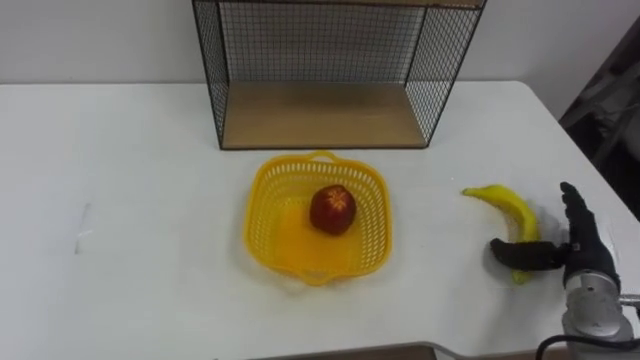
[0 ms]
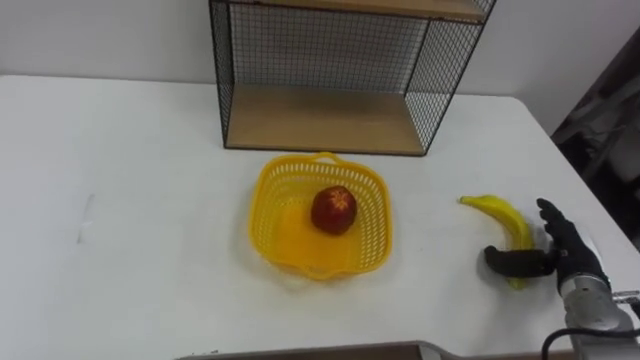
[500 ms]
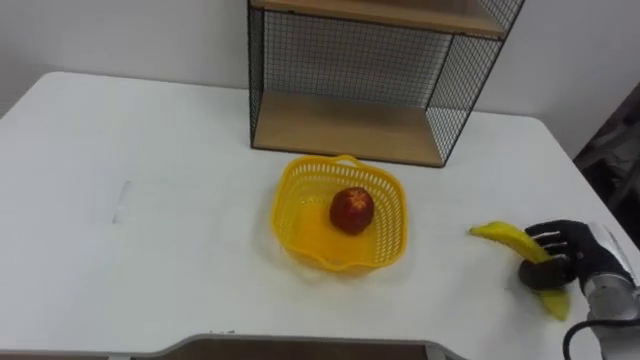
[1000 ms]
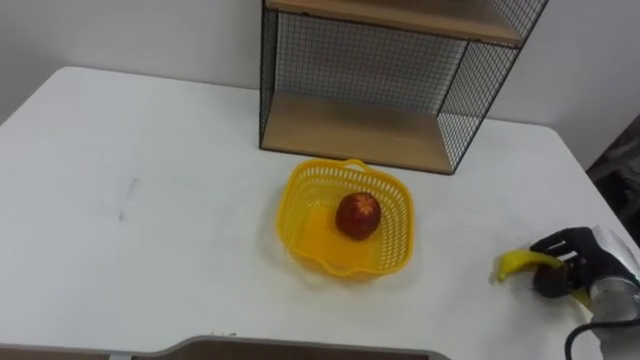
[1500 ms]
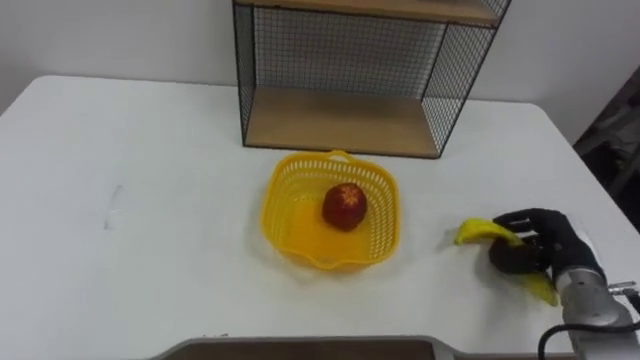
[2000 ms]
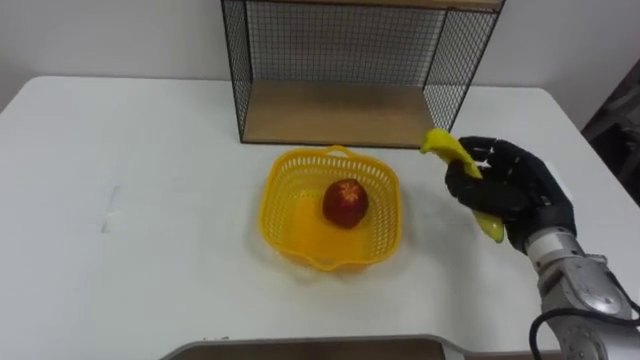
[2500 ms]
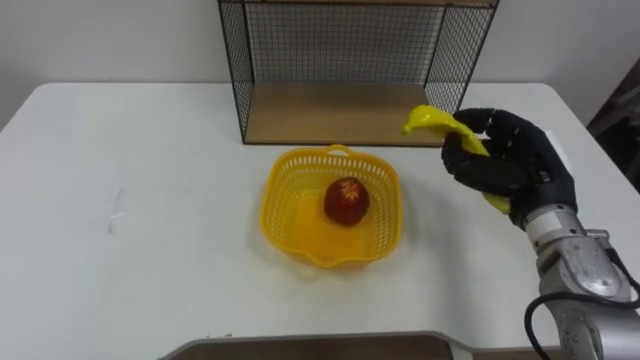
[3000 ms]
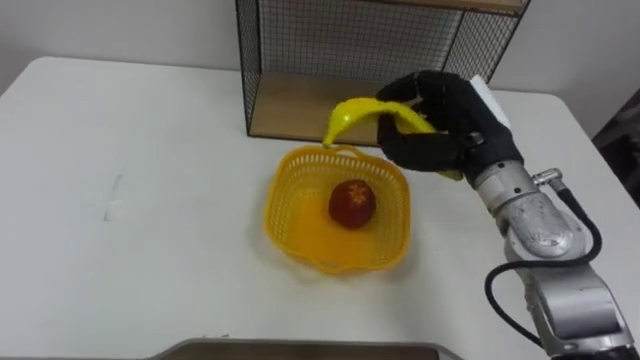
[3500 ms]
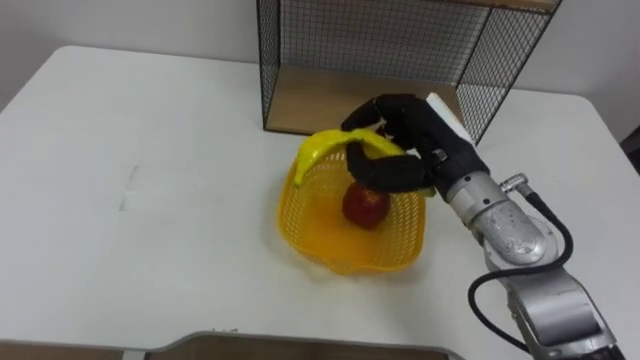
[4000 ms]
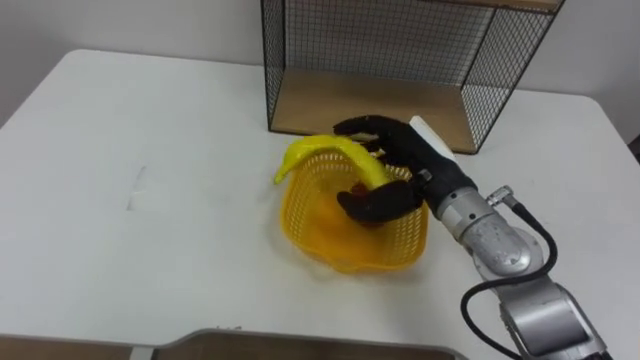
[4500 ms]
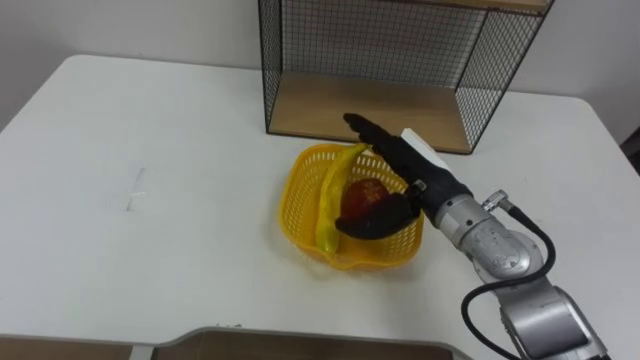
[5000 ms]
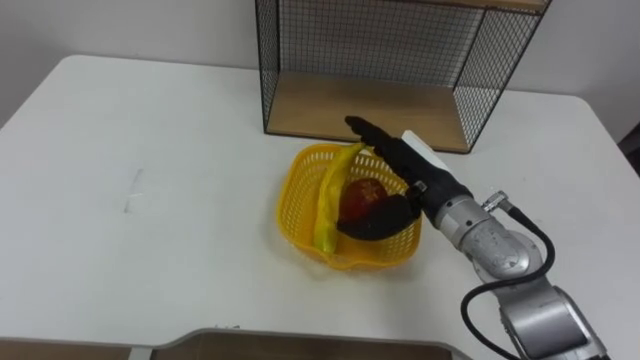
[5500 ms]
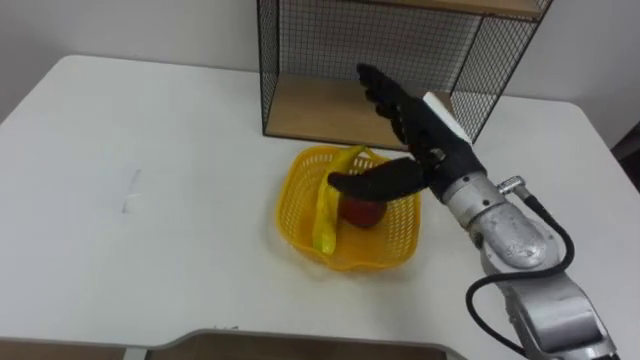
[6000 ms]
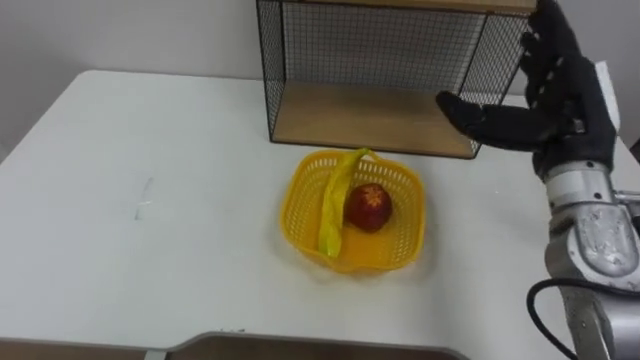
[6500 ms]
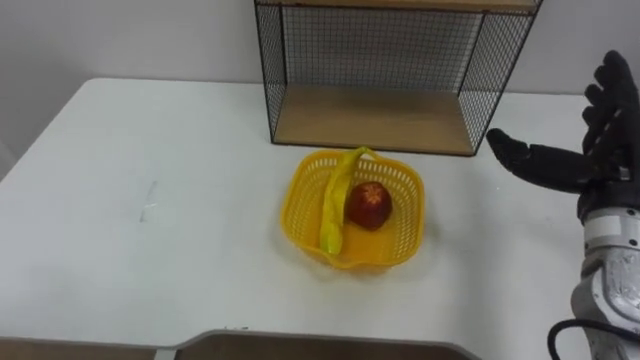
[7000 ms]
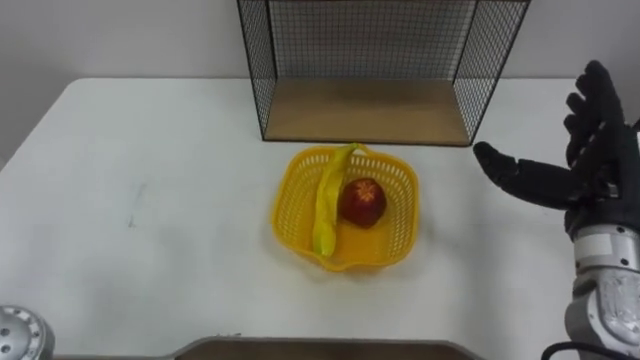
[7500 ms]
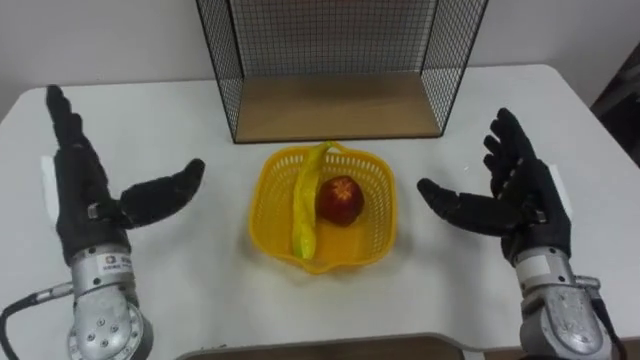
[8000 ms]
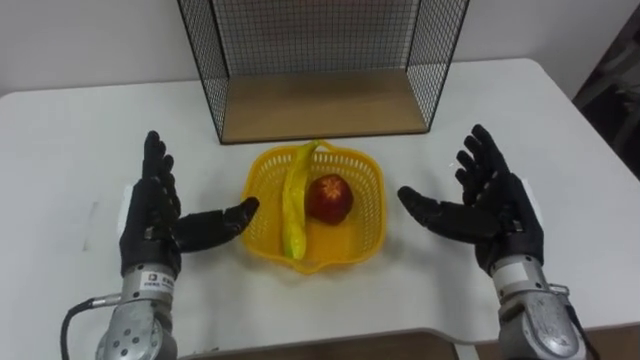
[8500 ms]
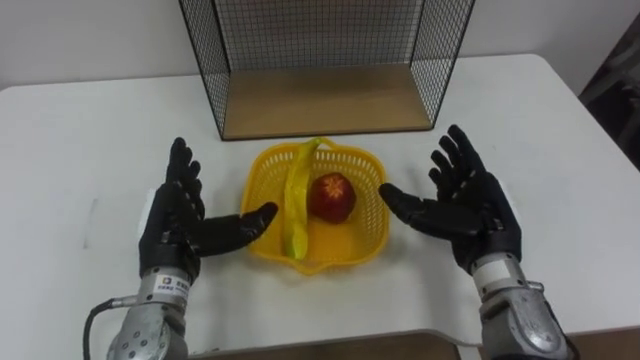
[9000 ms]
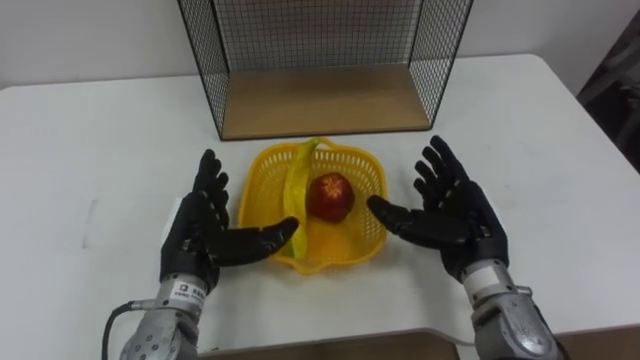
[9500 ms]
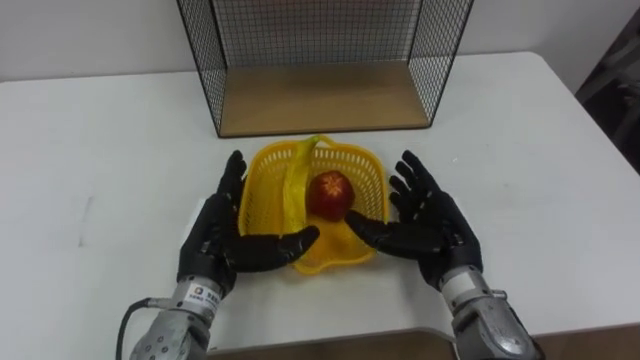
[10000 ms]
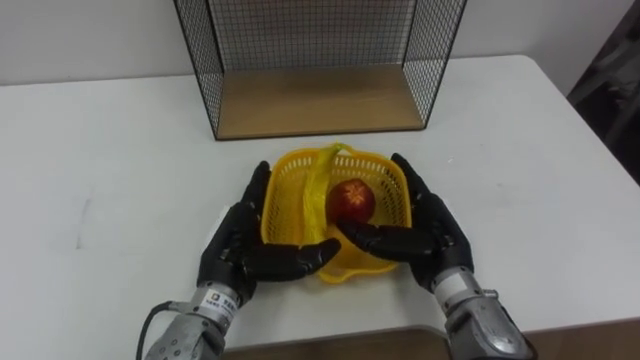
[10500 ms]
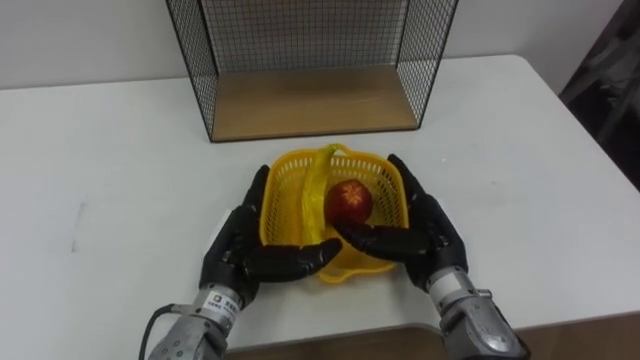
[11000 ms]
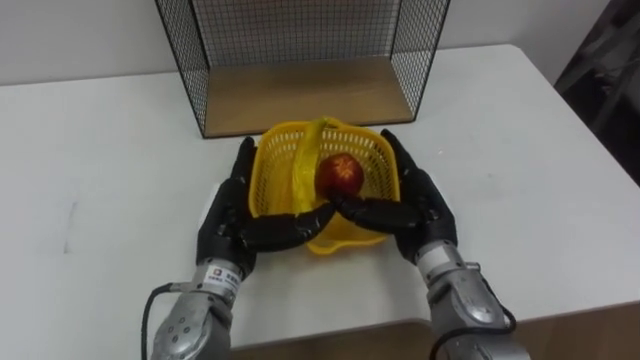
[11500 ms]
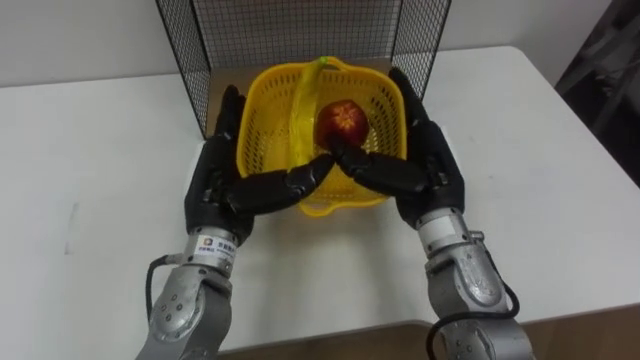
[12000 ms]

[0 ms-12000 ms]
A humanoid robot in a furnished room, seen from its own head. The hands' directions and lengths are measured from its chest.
Task of the whole recording: Put the fruit on the table into the basket, then place the basket on the shelf.
0 ms to 2000 ms: The right hand closes up.
2000 ms to 4000 ms: The right hand travels to the left and upward by roughly 25 cm.
4000 ms to 6000 ms: The right hand opens up.
6000 ms to 8000 ms: The right hand goes roughly 15 cm to the right, downward and backward.
8000 ms to 10000 ms: The left hand heads to the right and downward, covering approximately 15 cm; the right hand goes some 10 cm to the left and downward.
10000 ms to 12000 ms: Both hands move upward, some 10 cm.

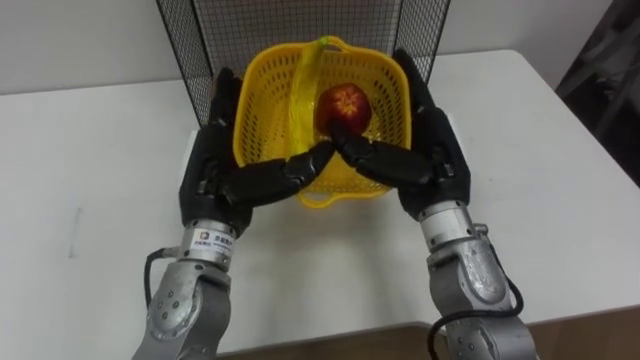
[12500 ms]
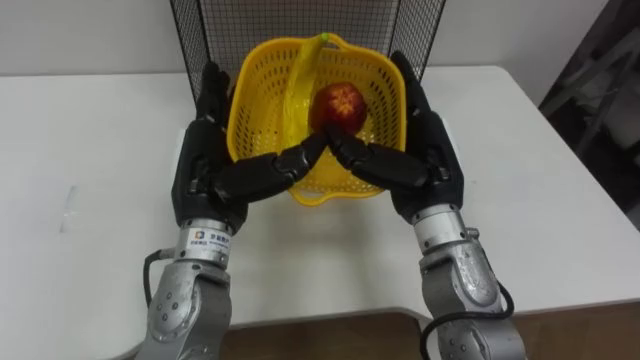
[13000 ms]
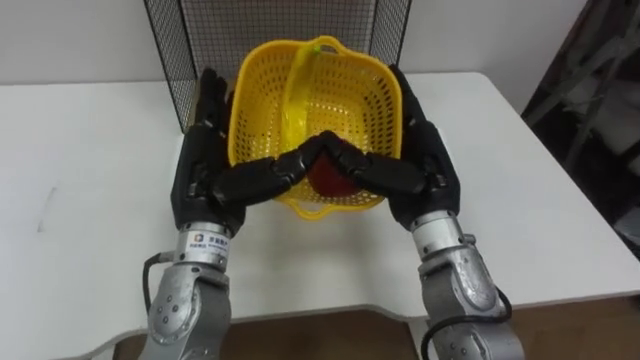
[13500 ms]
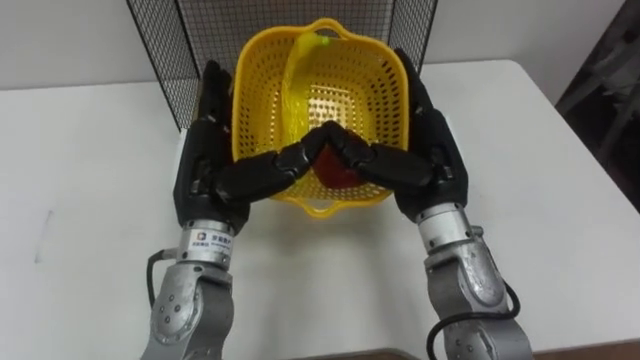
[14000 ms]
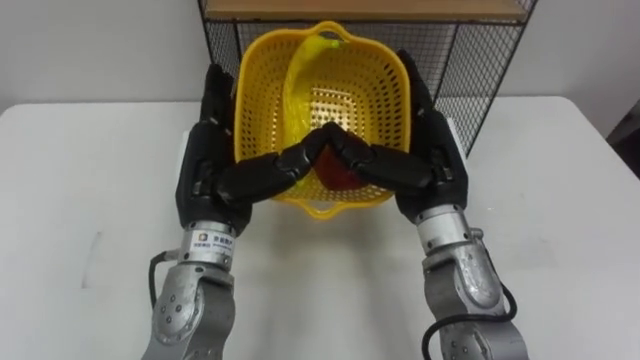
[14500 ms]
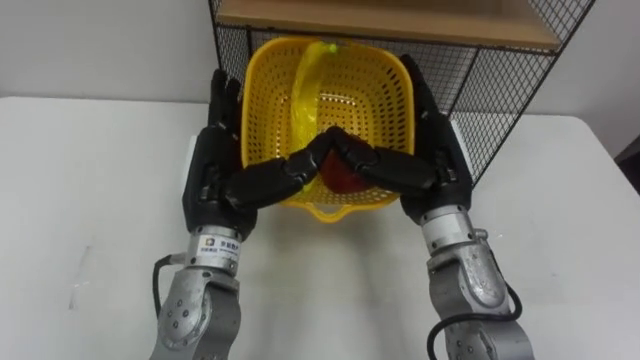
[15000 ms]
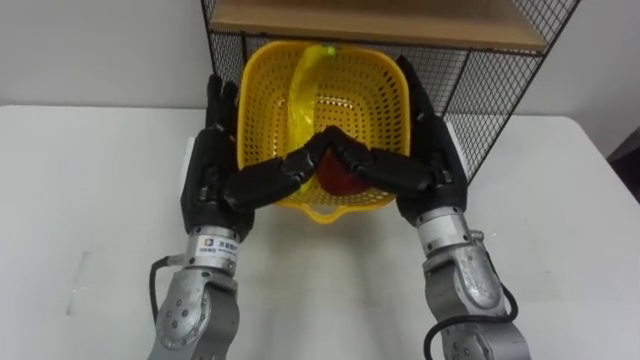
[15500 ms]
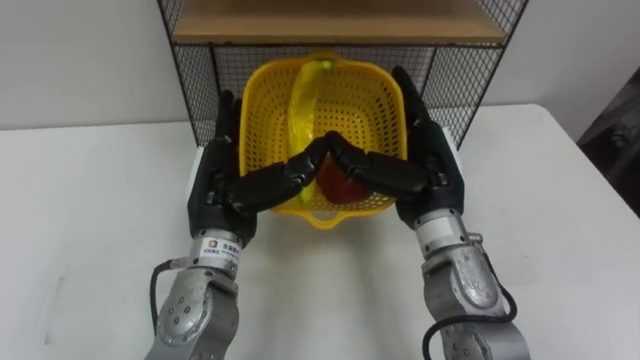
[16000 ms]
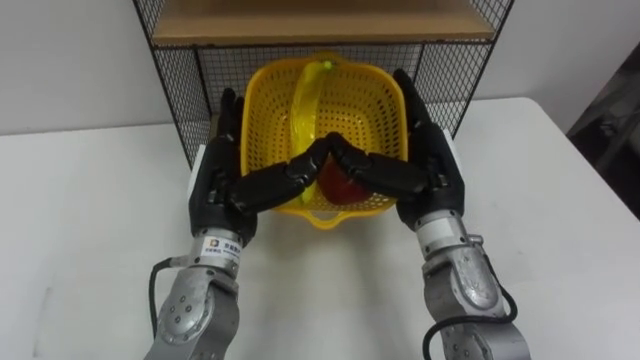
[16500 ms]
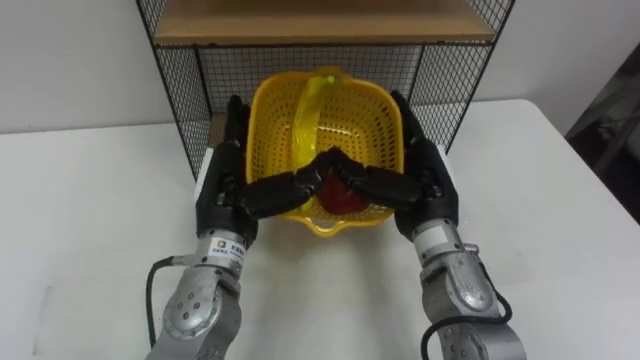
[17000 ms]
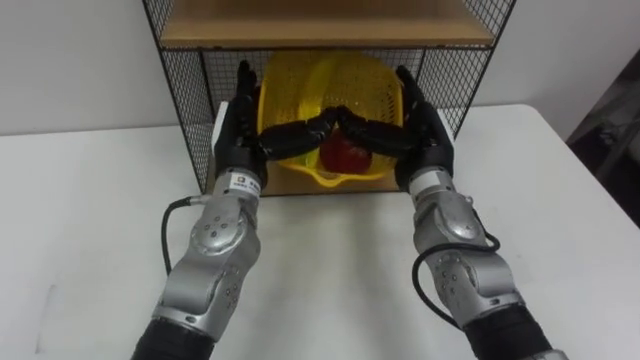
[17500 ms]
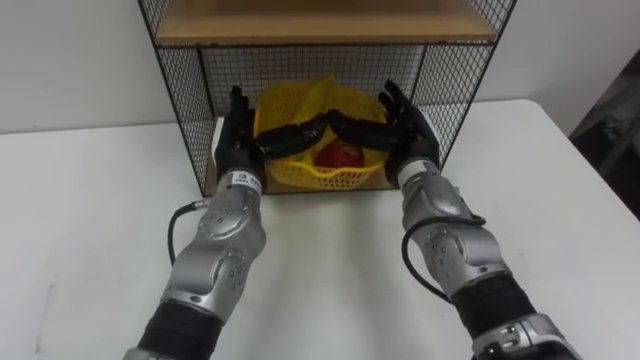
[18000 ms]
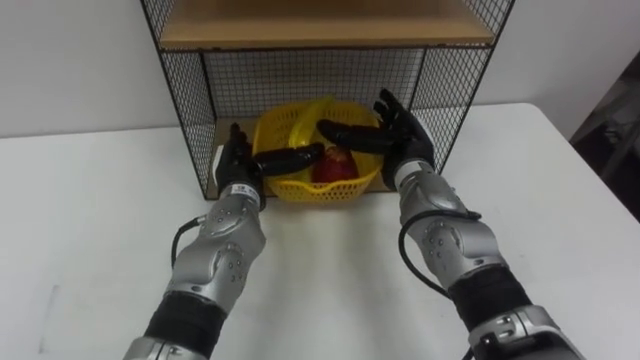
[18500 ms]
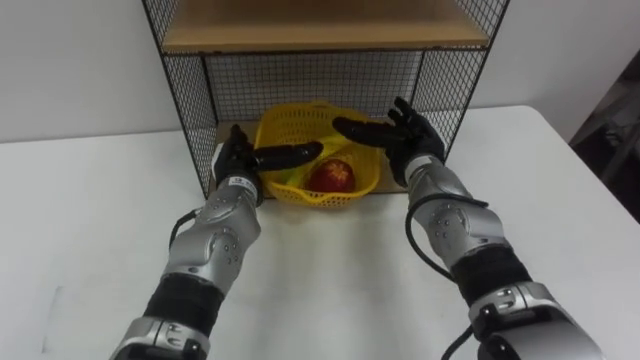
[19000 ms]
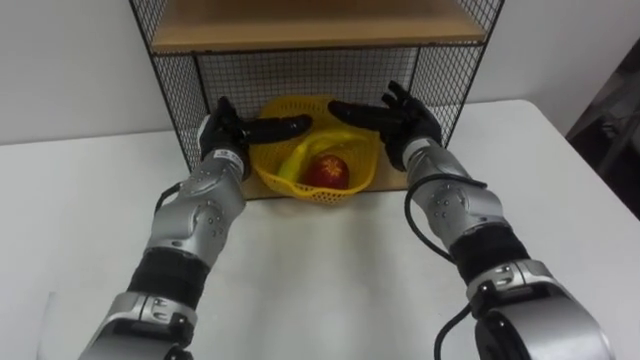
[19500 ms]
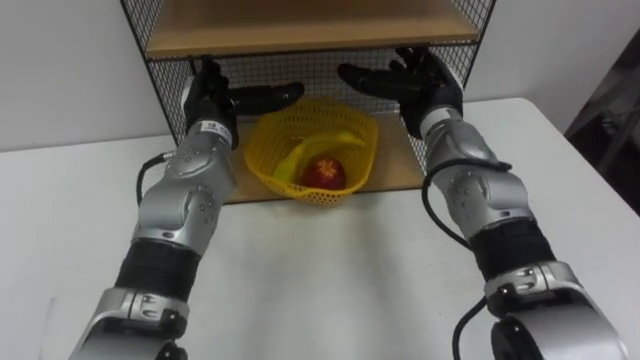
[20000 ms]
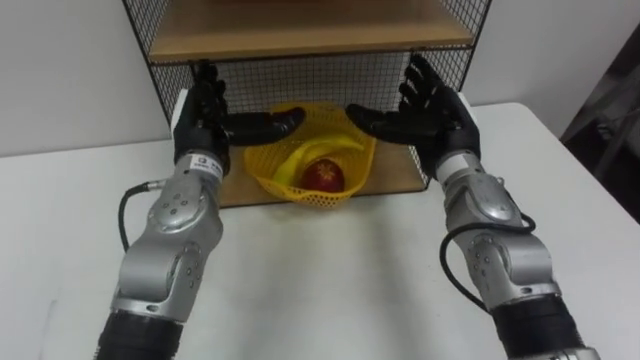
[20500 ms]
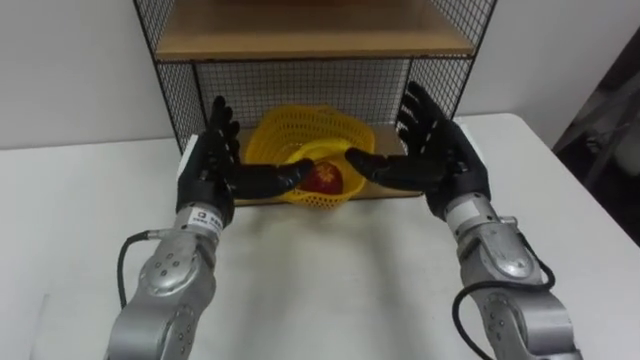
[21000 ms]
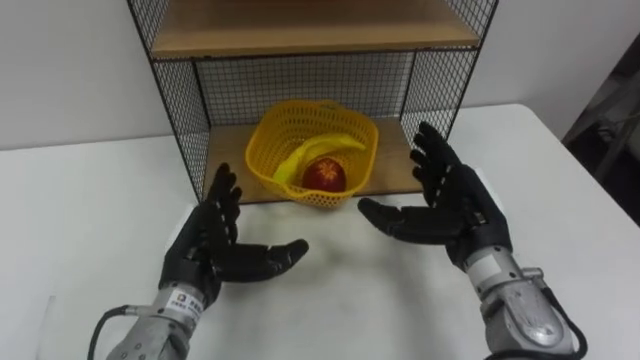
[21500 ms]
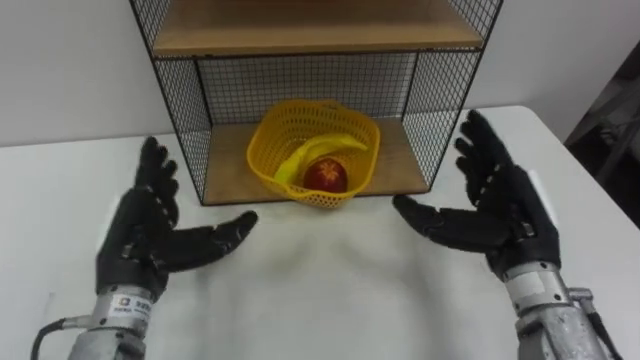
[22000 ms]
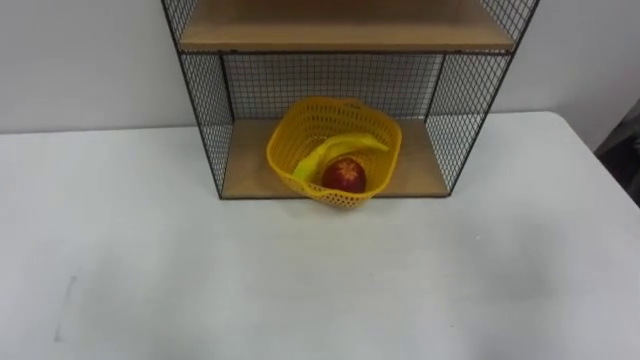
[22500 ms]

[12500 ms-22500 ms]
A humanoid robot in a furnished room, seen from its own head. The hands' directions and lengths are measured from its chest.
Task of the whole recording: Put the fruit on the table into the basket, then place the basket on the shelf.
16500 ms to 18500 ms: The left hand shifts approximately 10 cm forward and downward; the right hand heads forward, covering about 10 cm.
18500 ms to 20500 ms: The left hand goes approximately 10 cm upward; the right hand ends up about 5 cm from where it was.
